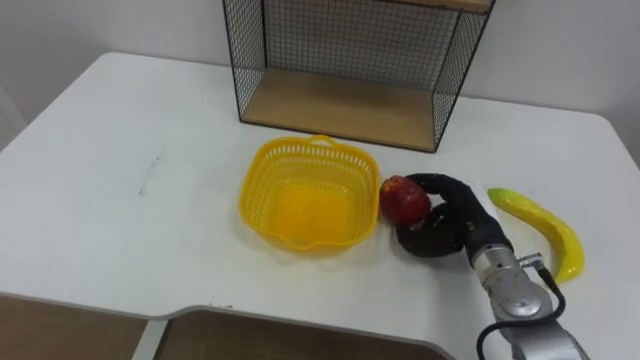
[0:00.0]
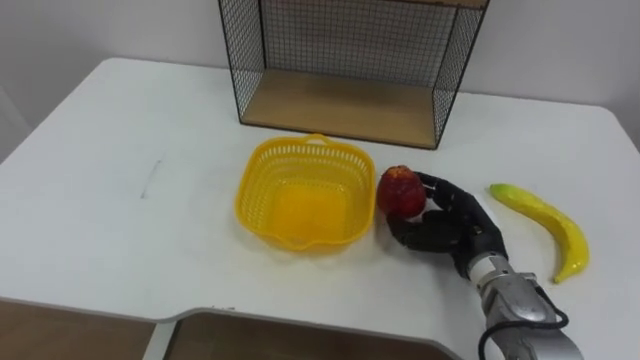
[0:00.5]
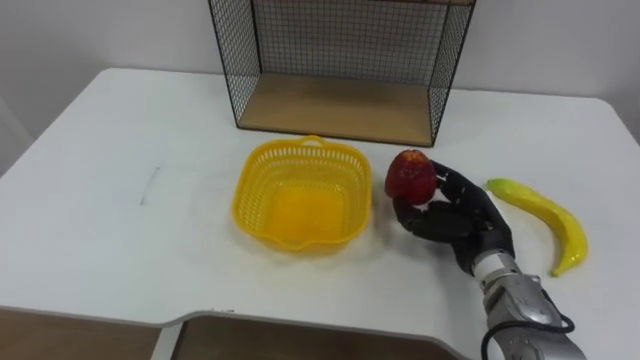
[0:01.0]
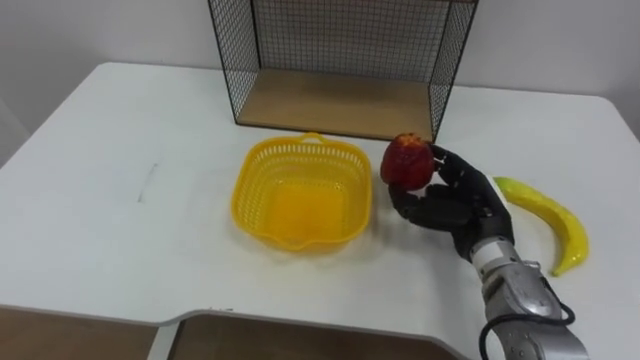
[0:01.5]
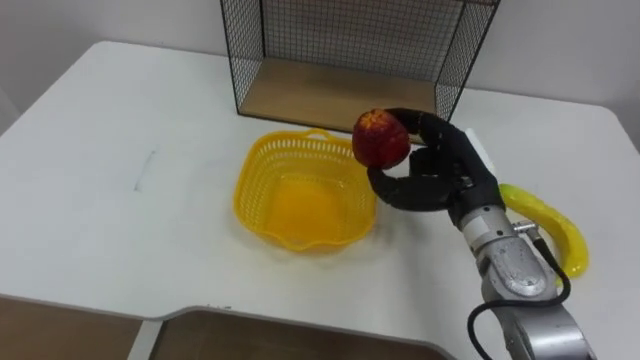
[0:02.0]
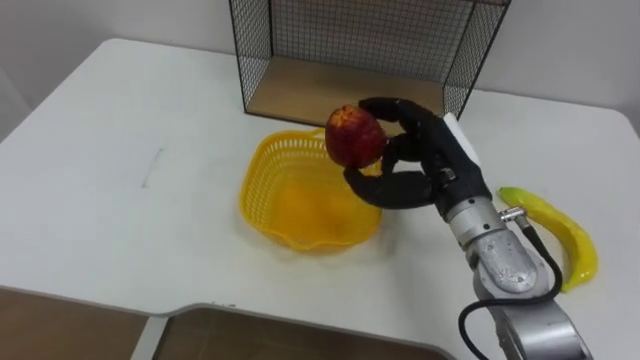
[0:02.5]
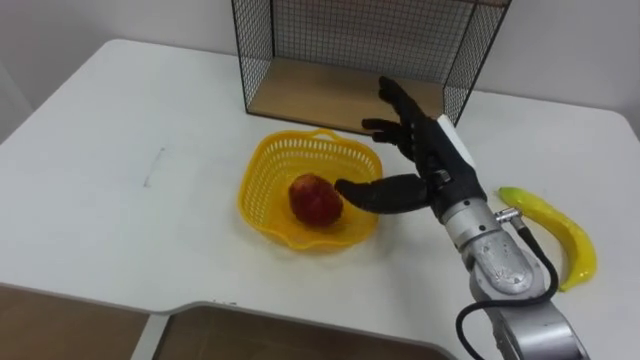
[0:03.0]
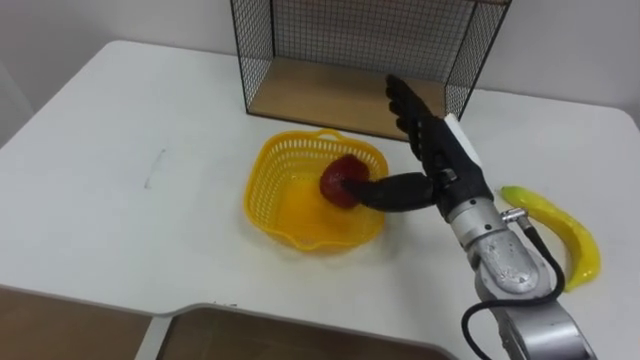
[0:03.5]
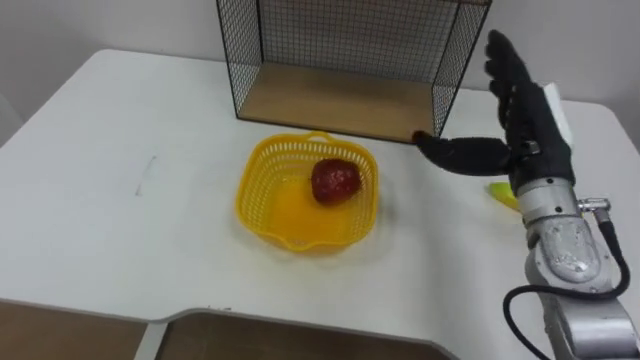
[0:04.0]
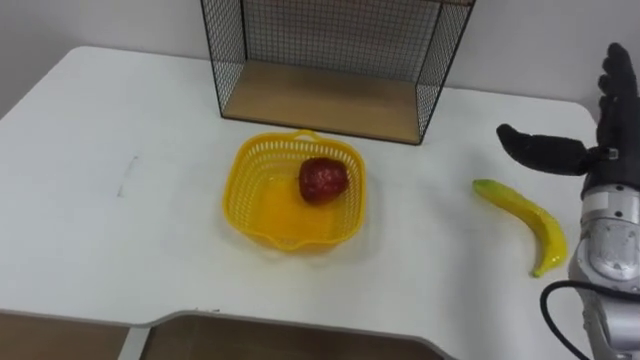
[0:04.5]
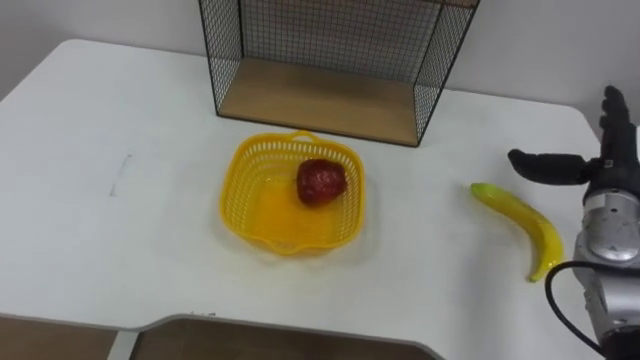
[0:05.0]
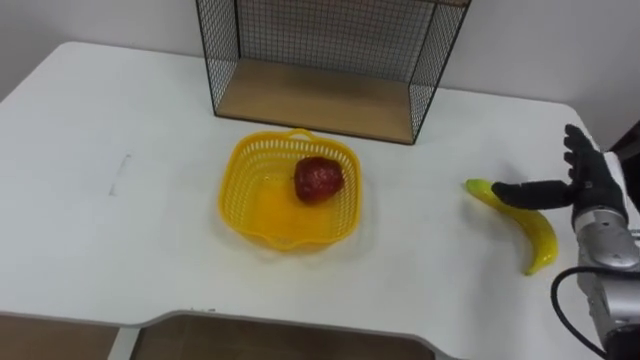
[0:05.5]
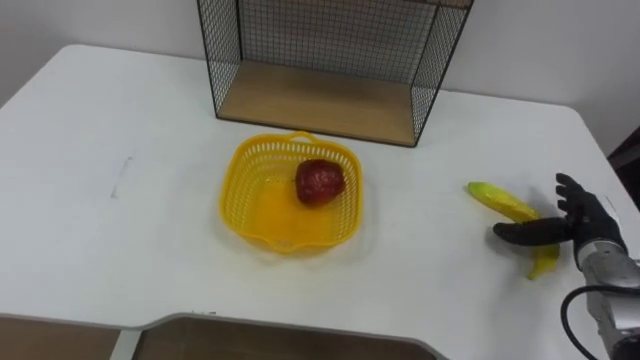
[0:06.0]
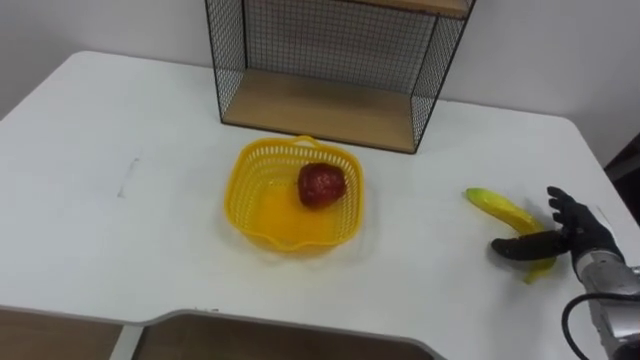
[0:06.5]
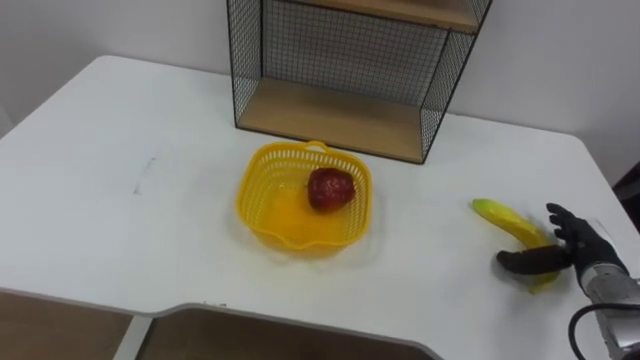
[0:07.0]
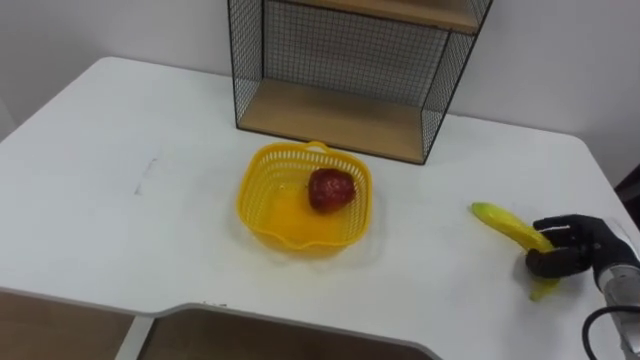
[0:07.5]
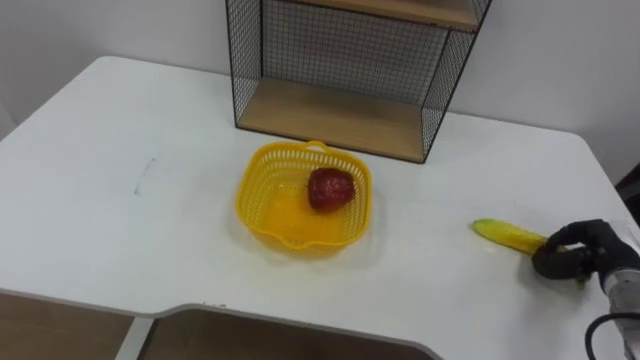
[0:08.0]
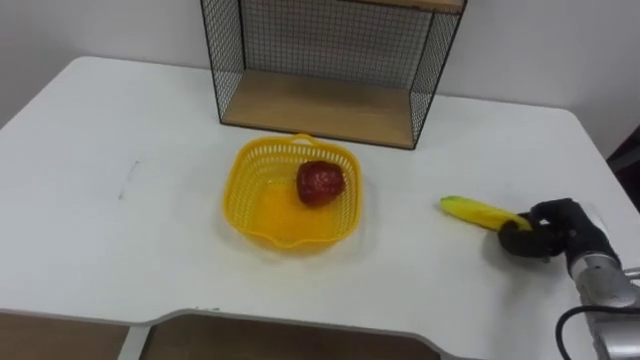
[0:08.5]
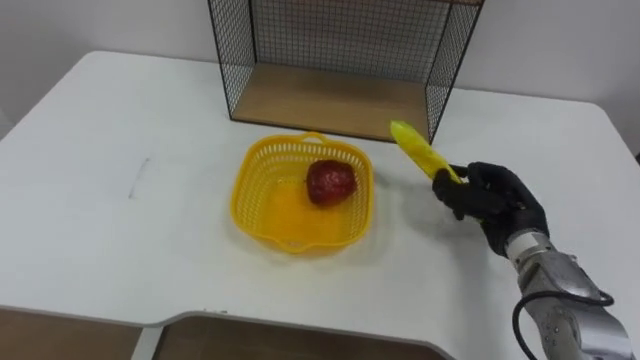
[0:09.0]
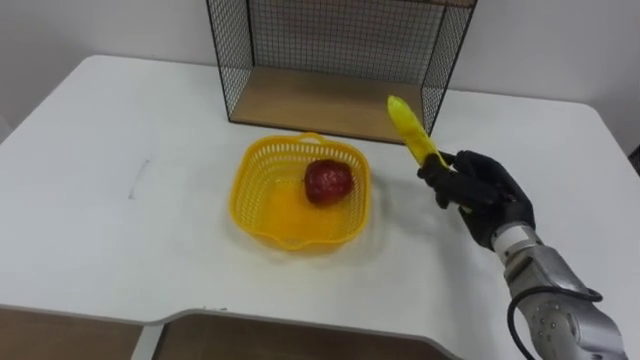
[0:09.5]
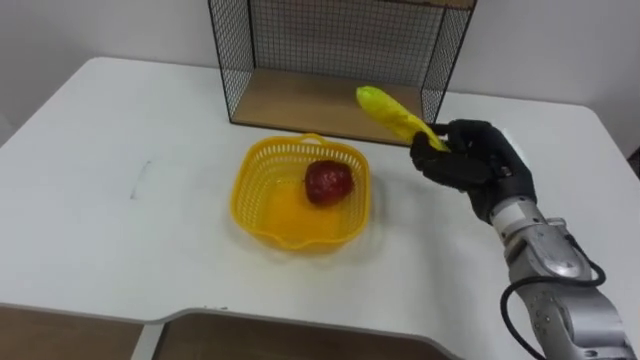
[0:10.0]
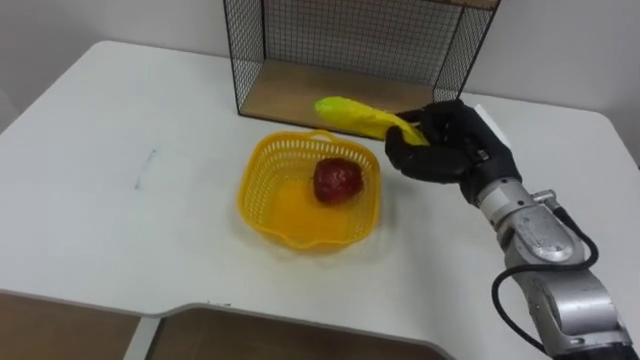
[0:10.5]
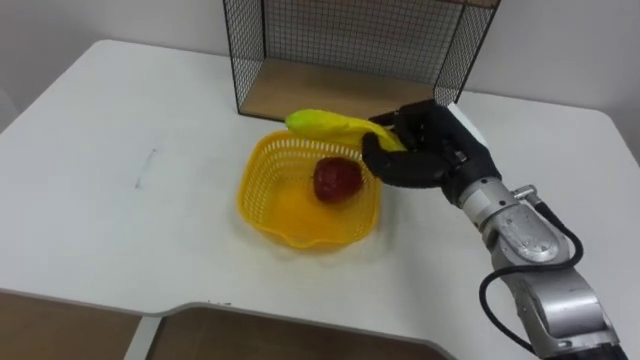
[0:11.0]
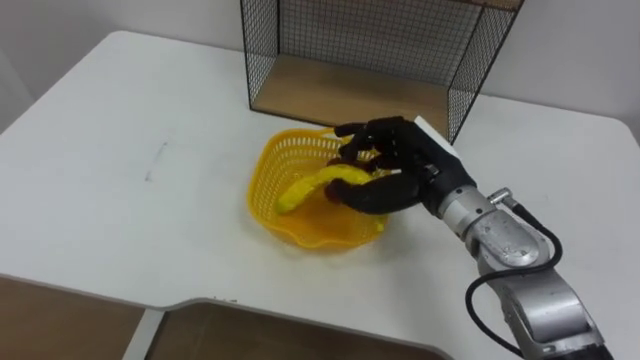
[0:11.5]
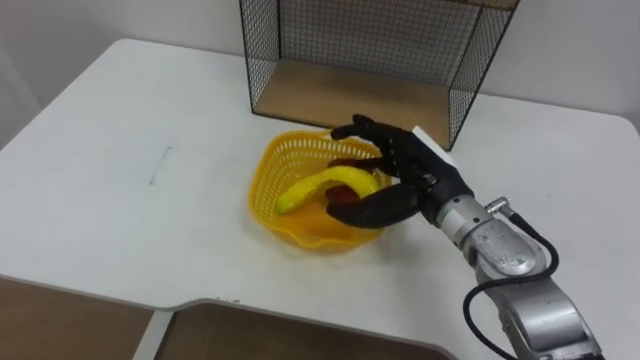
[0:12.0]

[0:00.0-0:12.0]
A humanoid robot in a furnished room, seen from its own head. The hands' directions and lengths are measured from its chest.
Task of the whole recording: Put the fruit on the table into the basket, then place the basket on the shelf.
0:00.0 to 0:02.0: The right hand travels upward by some 10 cm.
0:02.0 to 0:04.0: The right hand heads upward and to the right, covering roughly 10 cm, and opens its fingers.
0:04.0 to 0:06.0: The right hand shifts approximately 20 cm downward and to the right.
0:06.0 to 0:08.0: The right hand moves roughly 5 cm, and closes.
0:08.0 to 0:10.0: The right hand moves to the left and upward, roughly 20 cm.
0:10.0 to 0:12.0: The right hand shifts some 10 cm to the left, and opens.

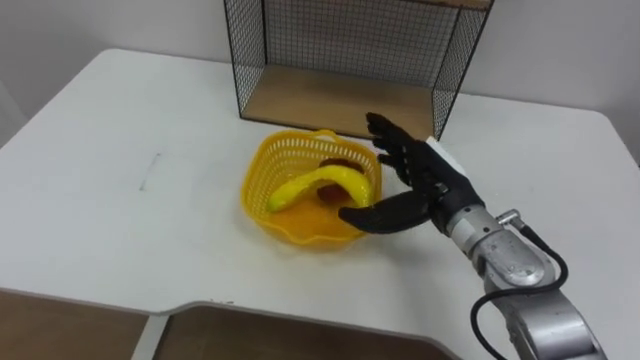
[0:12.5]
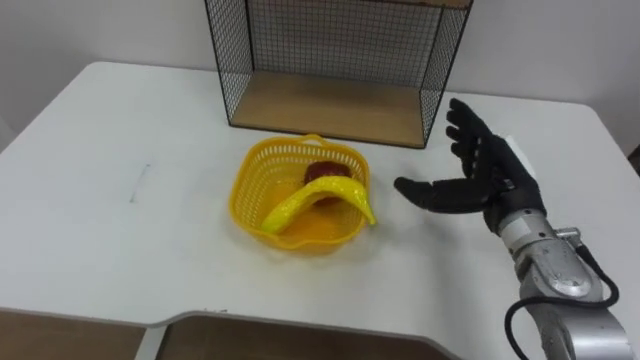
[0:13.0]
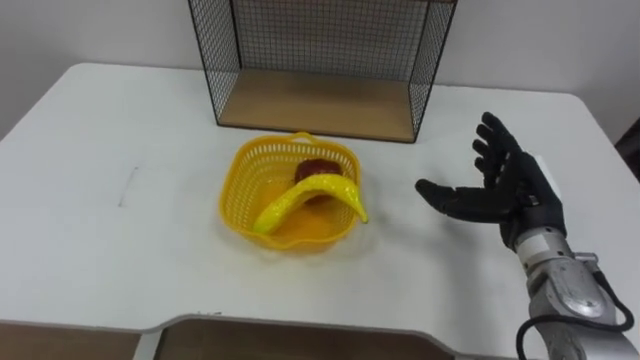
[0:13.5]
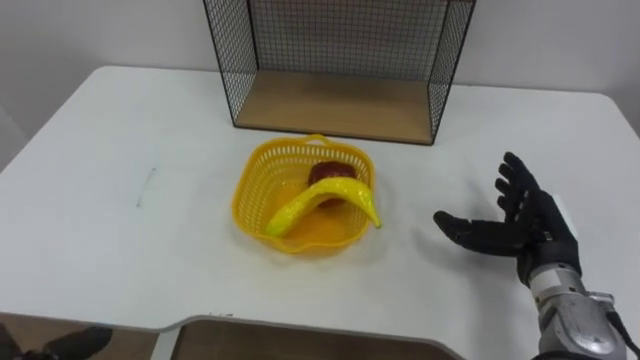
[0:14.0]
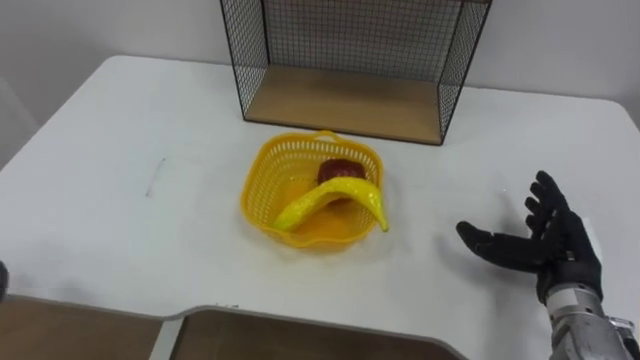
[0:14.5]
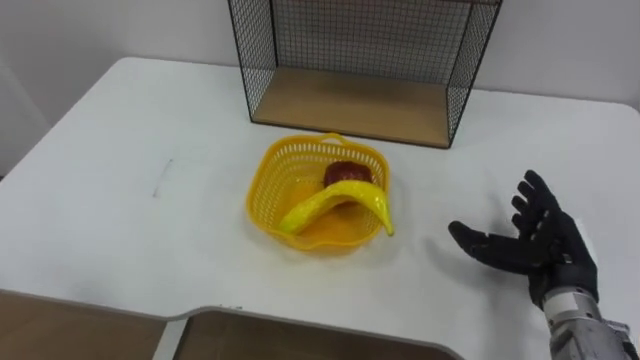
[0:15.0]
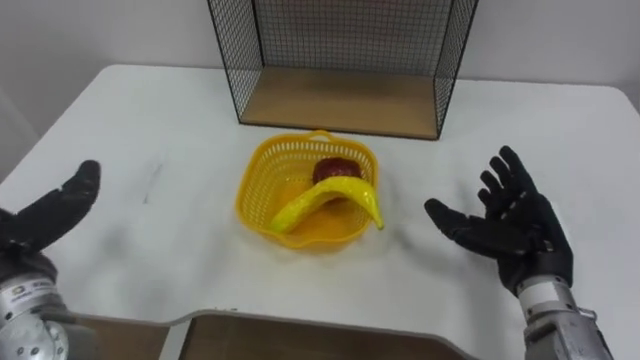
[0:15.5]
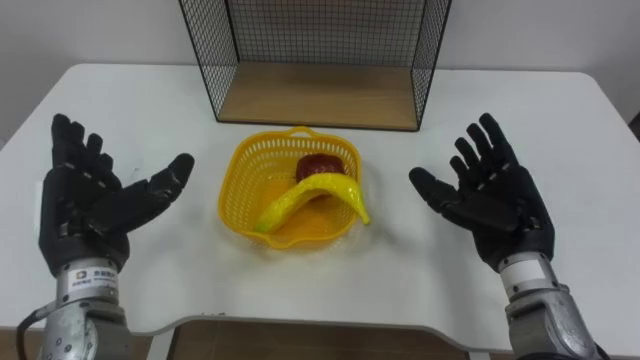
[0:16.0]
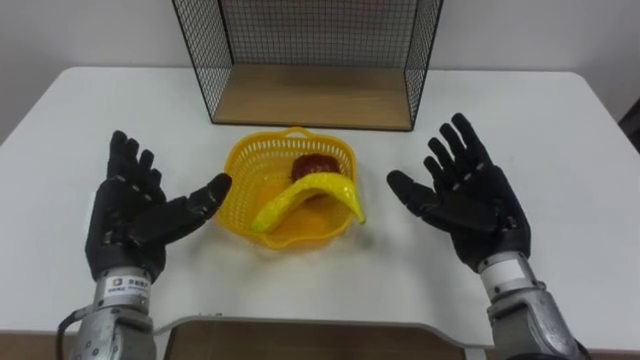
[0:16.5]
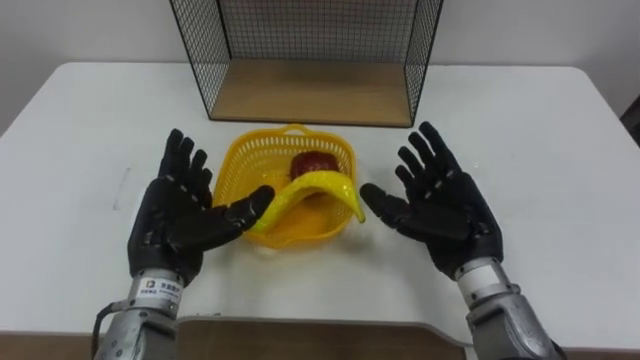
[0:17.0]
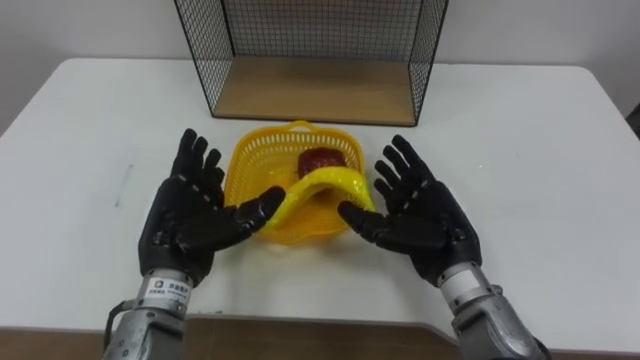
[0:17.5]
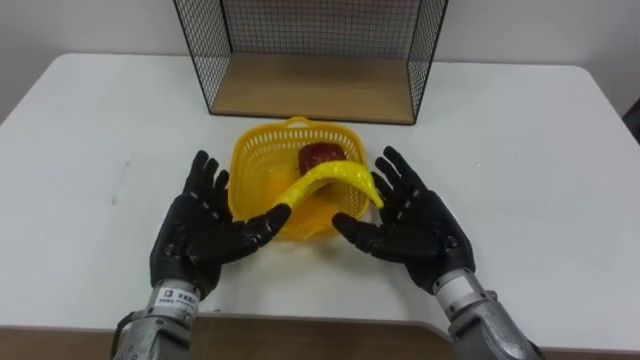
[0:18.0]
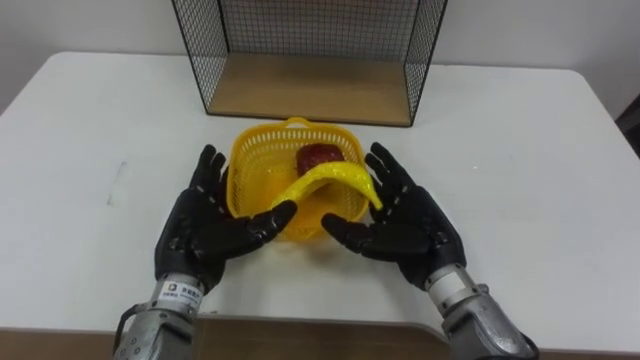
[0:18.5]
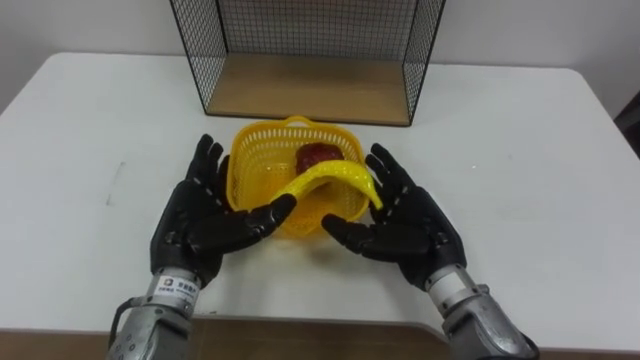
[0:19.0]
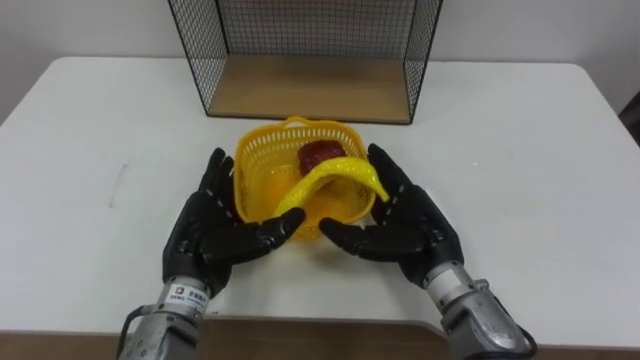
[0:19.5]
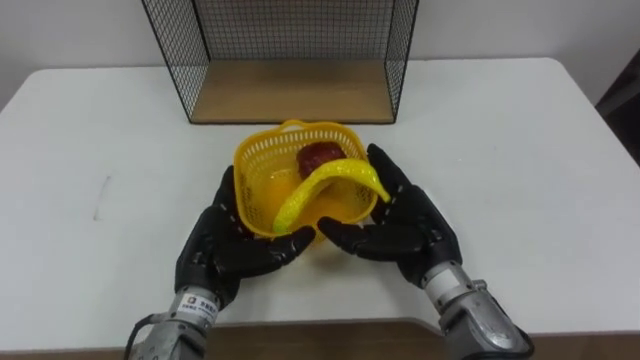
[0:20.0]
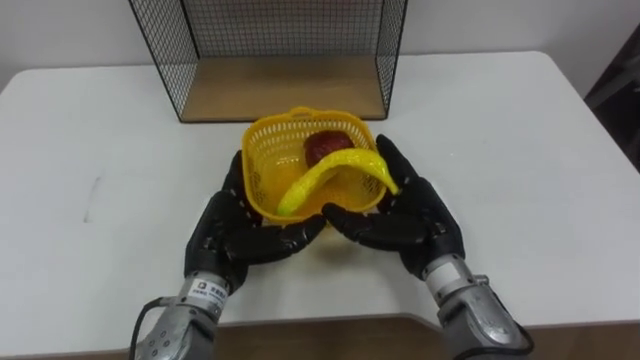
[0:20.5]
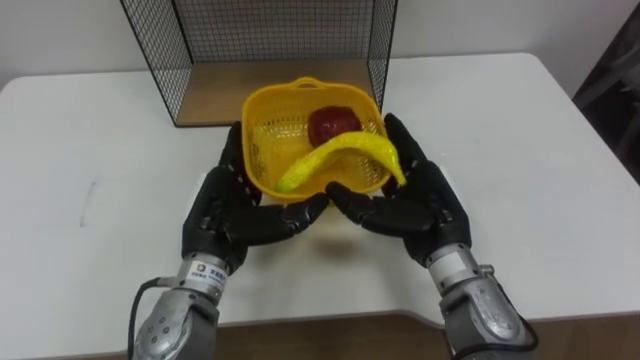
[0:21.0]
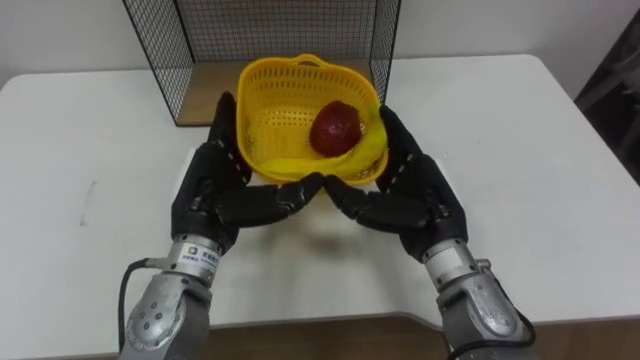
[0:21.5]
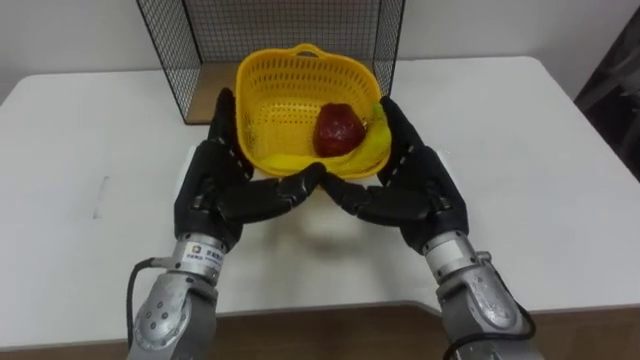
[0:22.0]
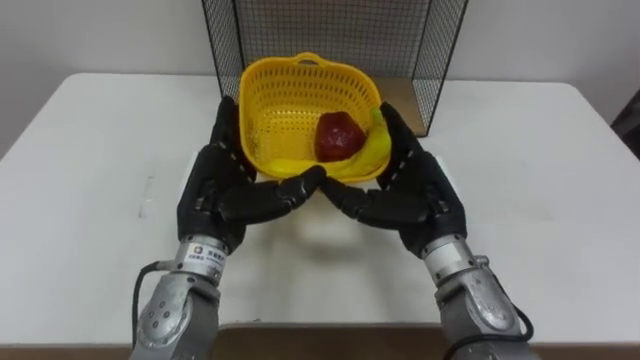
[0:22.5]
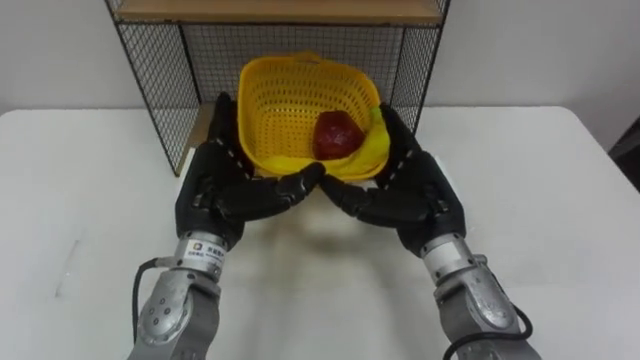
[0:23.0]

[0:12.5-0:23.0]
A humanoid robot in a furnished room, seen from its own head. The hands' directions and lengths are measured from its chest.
Task of the whole recording: Put the fruit on the table into the basket, then place the basket on the shelf.
0:12.5 to 0:14.5: The right hand moves to the right and backward, roughly 15 cm.
0:14.5 to 0:16.5: The right hand goes some 10 cm to the left.
0:16.5 to 0:19.0: The right hand goes approximately 5 cm to the left, while the left hand is displaced to the right by about 5 cm.
